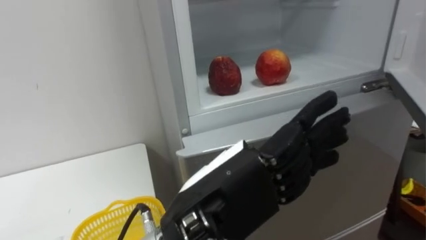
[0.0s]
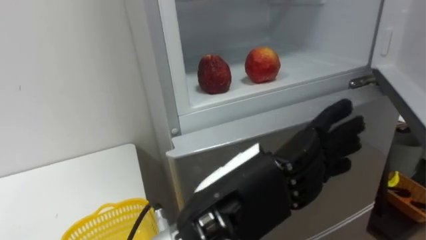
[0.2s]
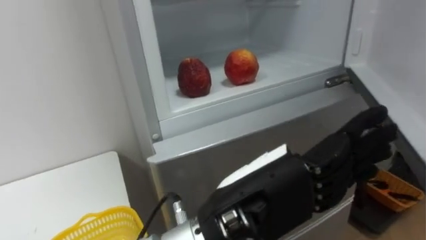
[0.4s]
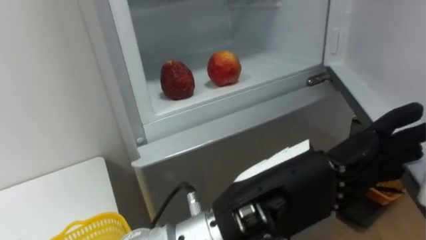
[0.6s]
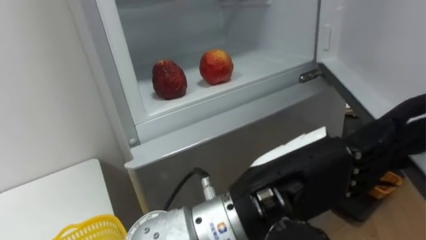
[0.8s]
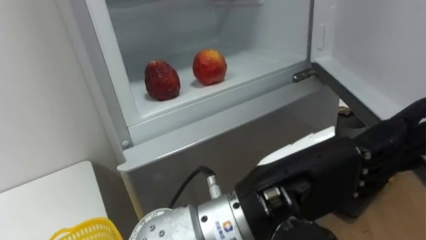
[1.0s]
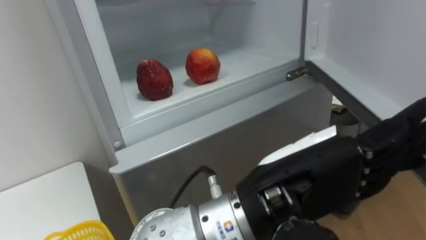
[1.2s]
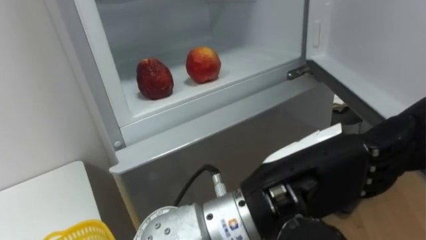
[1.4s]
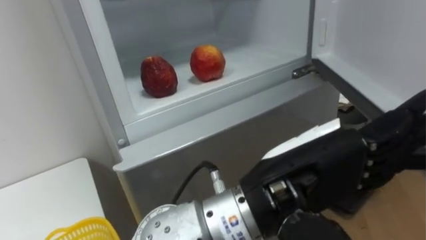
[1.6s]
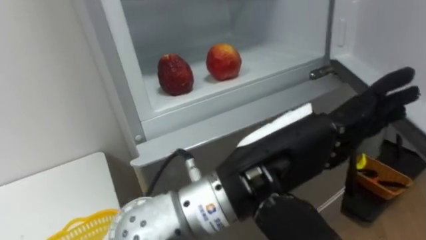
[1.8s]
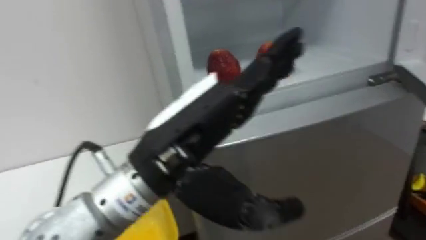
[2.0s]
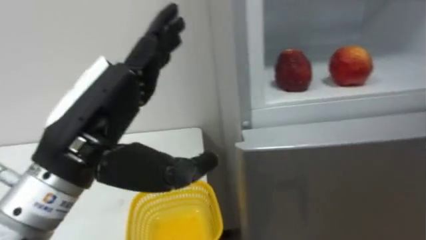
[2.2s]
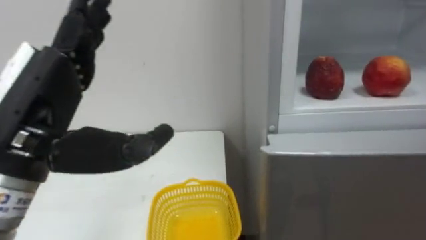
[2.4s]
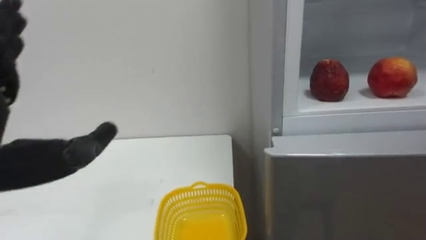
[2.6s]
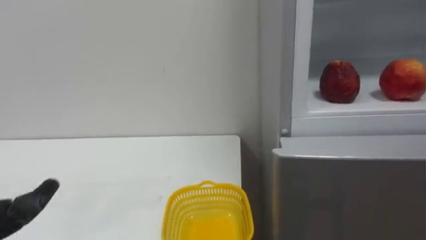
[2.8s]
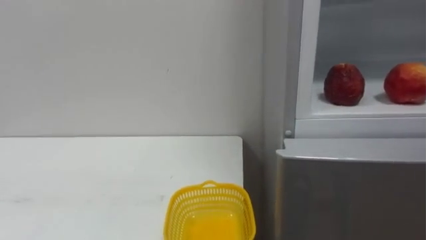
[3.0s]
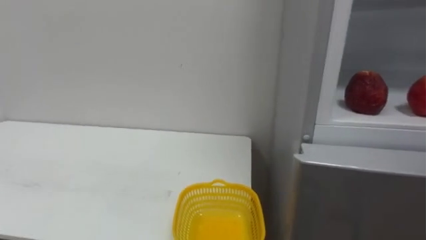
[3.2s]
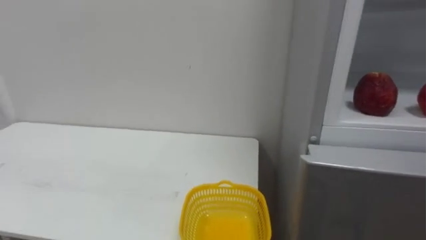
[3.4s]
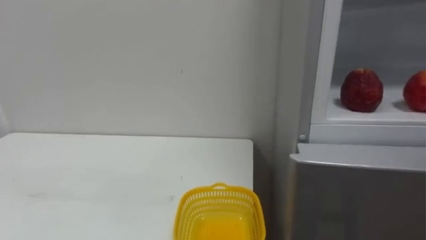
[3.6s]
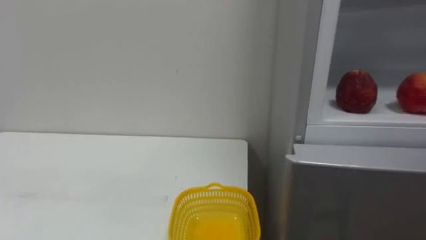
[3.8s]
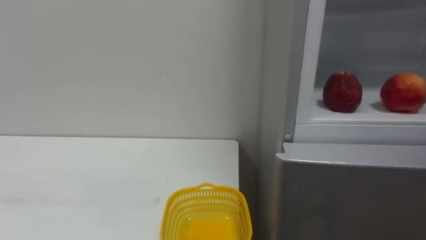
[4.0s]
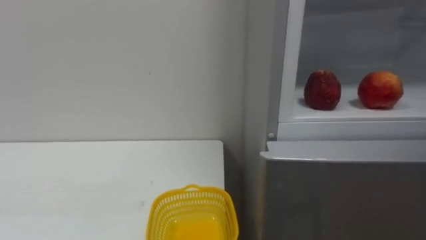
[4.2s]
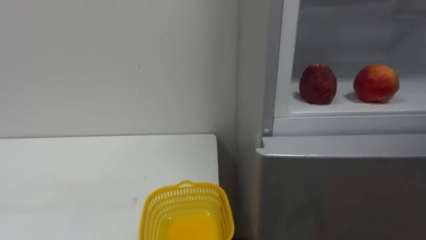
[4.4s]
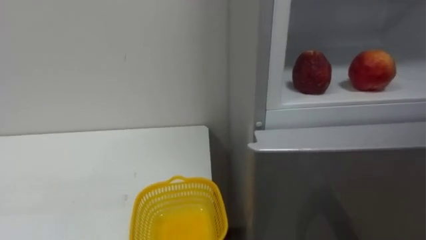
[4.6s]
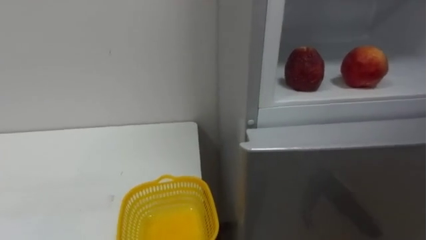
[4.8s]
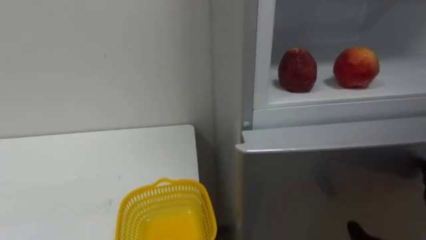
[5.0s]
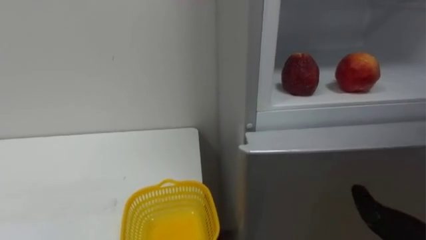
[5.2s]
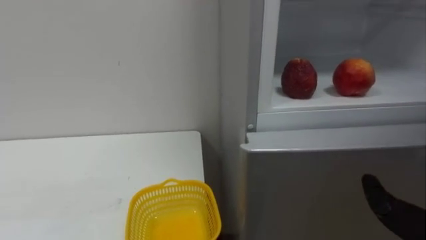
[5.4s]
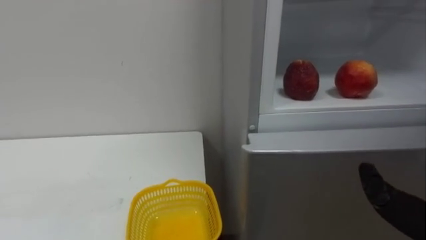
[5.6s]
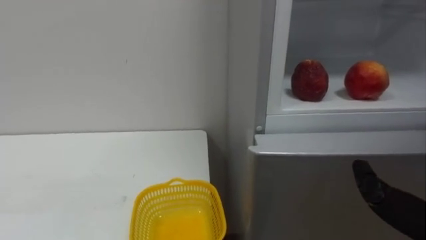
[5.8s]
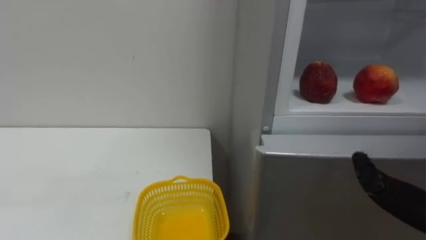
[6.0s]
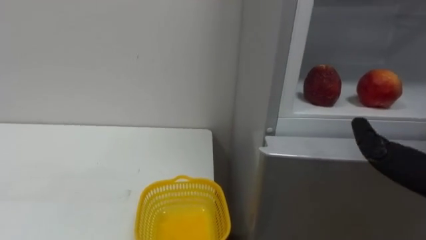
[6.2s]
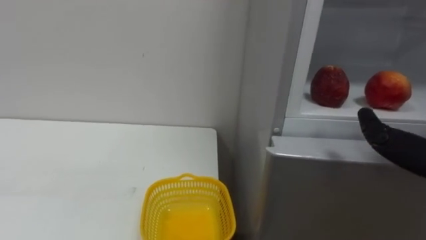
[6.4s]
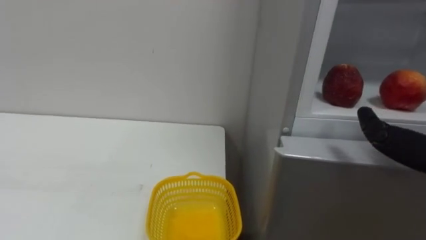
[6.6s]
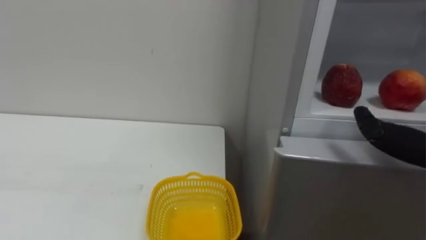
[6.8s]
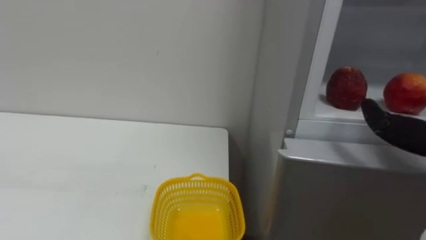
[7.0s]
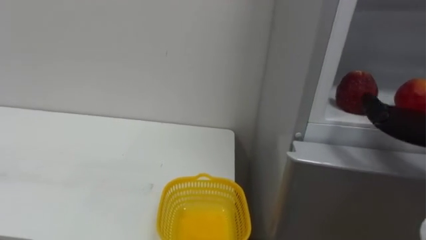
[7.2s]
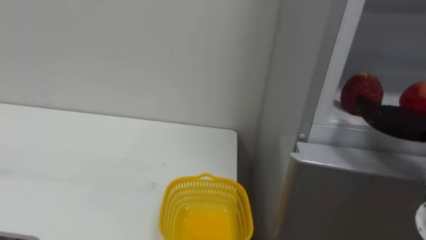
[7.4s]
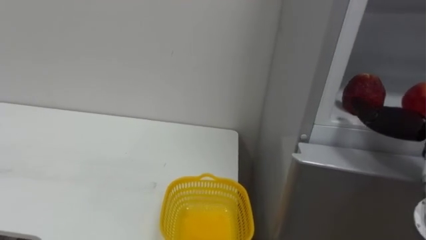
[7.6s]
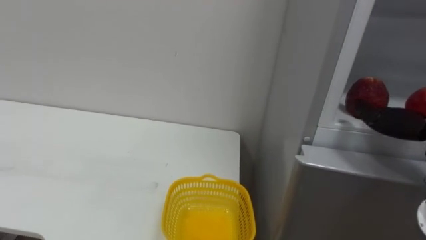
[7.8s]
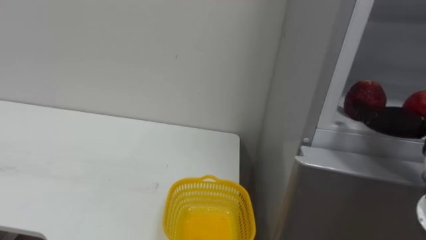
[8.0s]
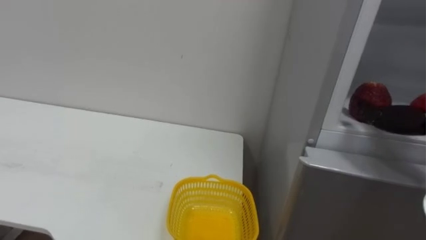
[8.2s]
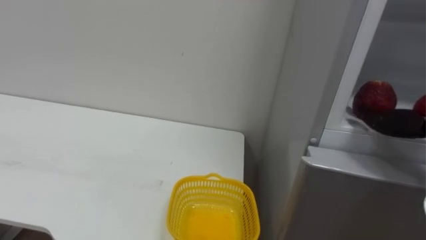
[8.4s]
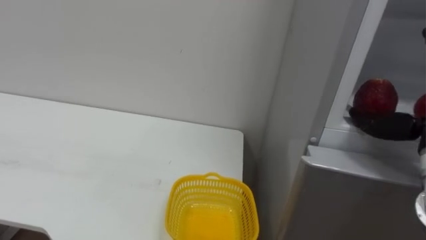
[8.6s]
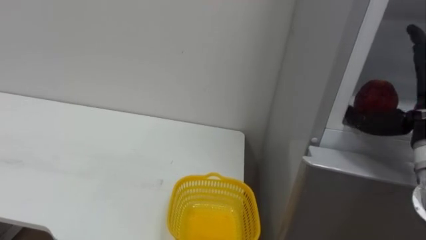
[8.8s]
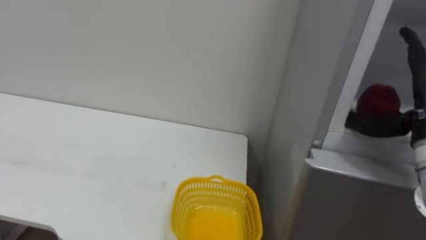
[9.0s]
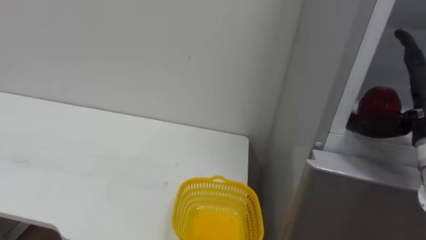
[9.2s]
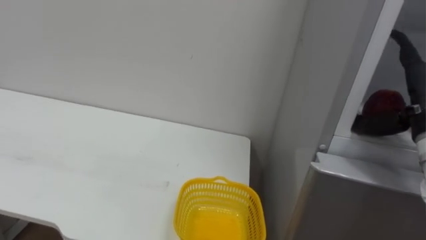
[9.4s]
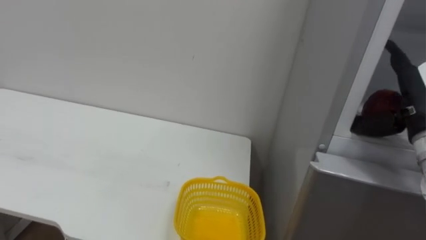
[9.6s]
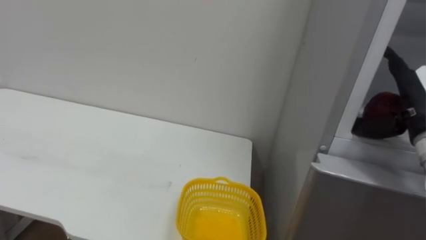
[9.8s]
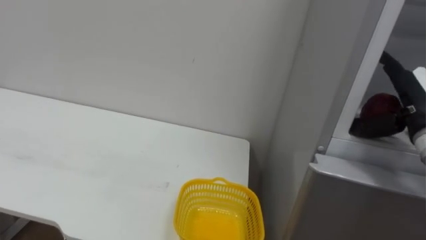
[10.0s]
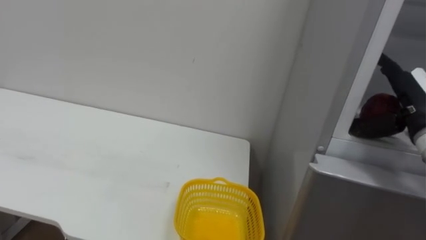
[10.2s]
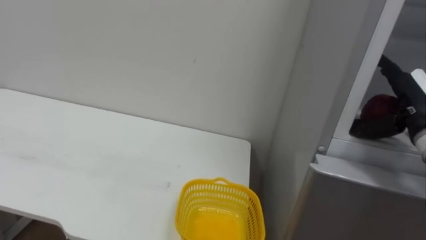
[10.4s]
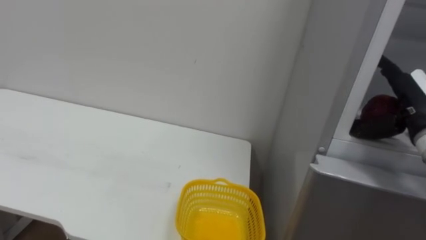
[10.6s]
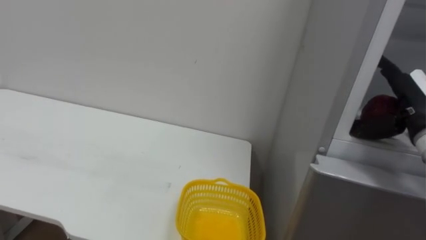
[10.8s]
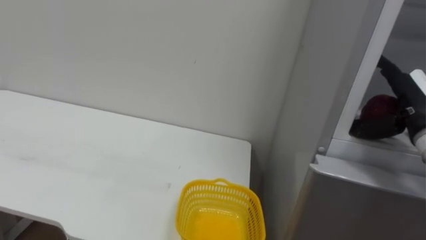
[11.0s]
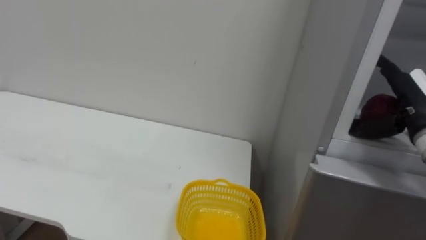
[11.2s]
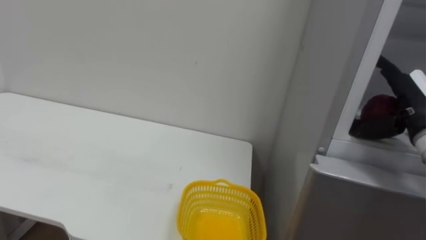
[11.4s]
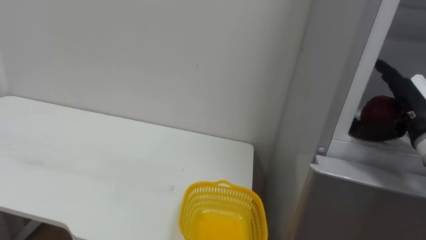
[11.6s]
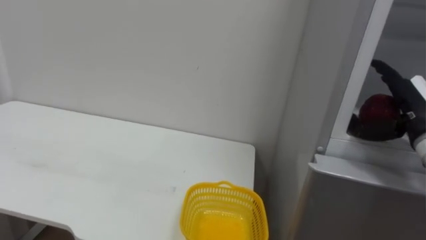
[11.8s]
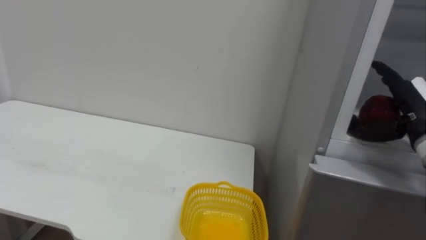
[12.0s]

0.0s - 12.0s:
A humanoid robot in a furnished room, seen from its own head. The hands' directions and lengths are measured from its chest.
Task of the whole recording: Open the refrigerator door, take out the apple and the pomegranate, place them in the fruit basket on the left, and close the refrigerator door.
0.0s - 1.6s: The left hand shifts about 10 cm to the right.

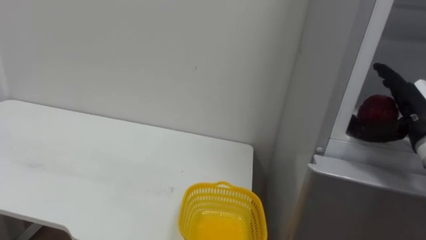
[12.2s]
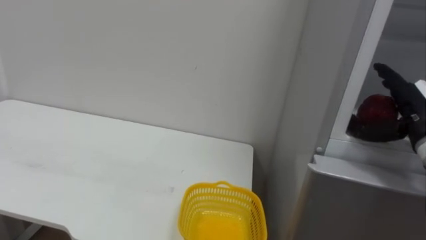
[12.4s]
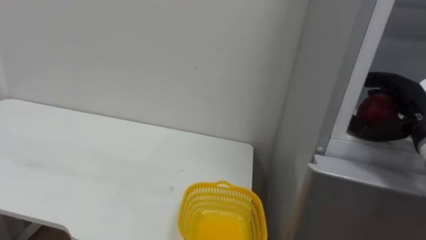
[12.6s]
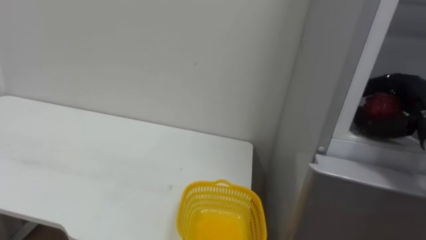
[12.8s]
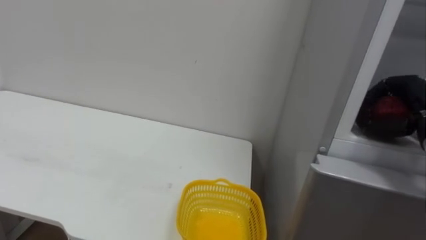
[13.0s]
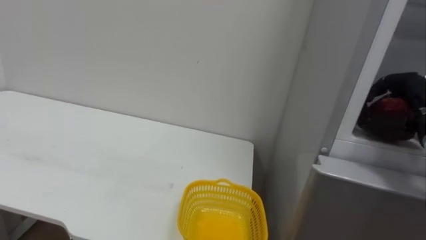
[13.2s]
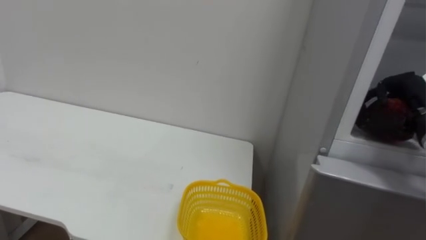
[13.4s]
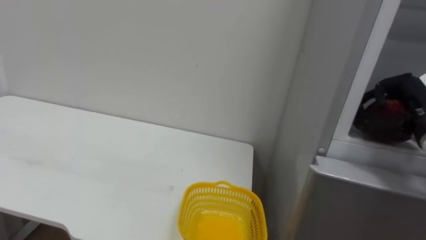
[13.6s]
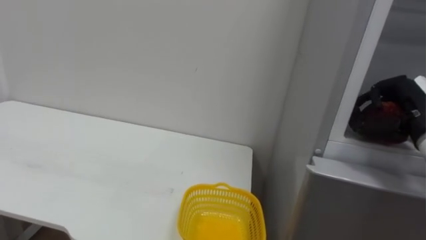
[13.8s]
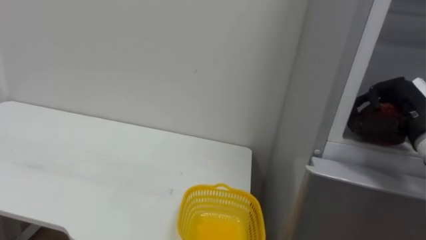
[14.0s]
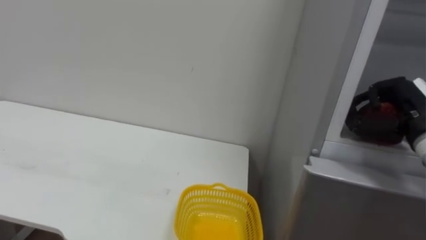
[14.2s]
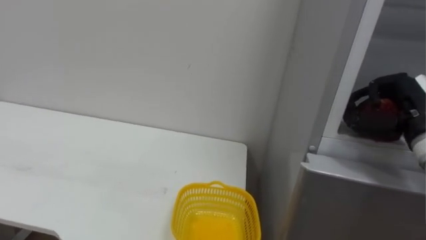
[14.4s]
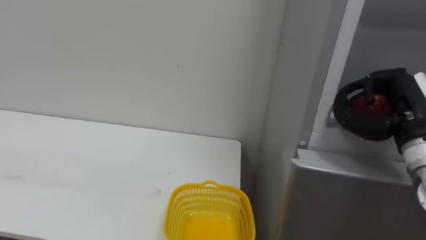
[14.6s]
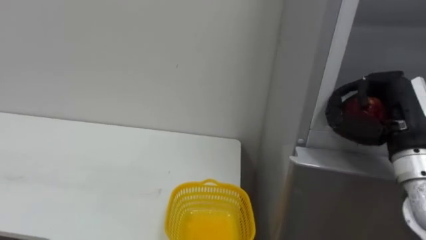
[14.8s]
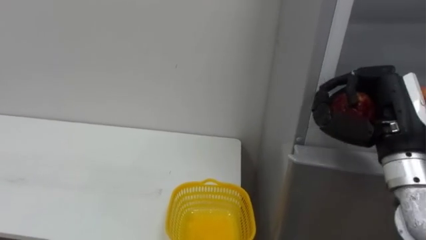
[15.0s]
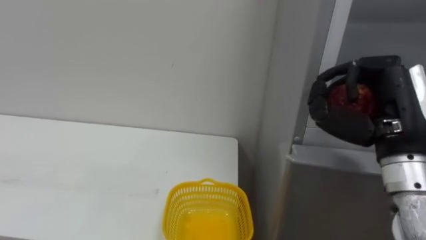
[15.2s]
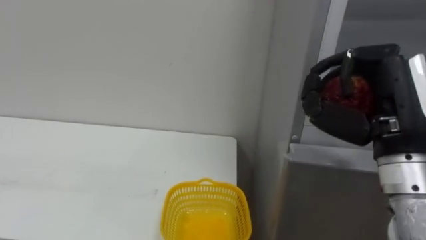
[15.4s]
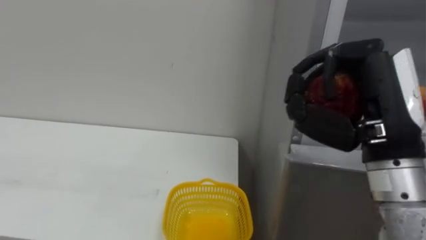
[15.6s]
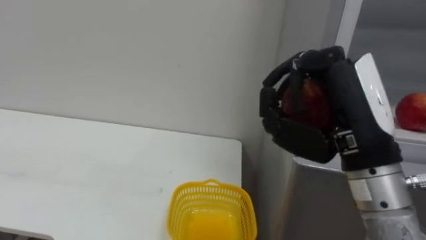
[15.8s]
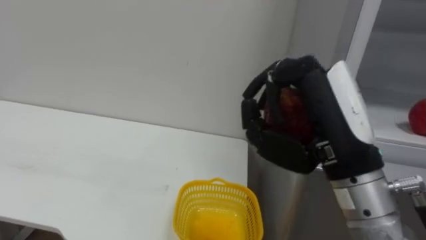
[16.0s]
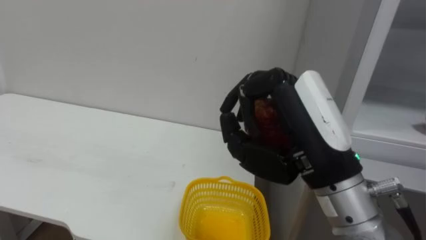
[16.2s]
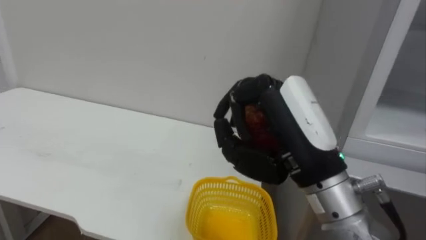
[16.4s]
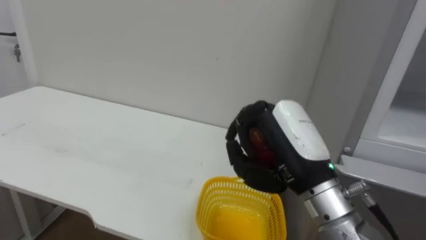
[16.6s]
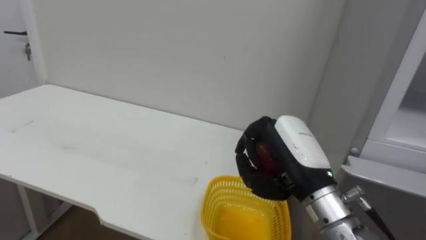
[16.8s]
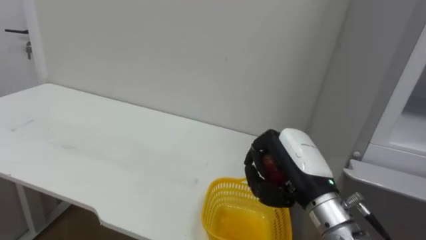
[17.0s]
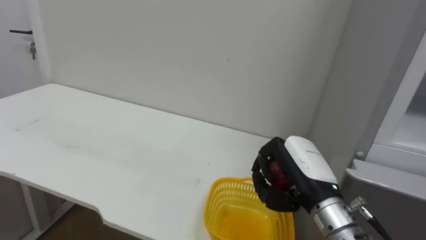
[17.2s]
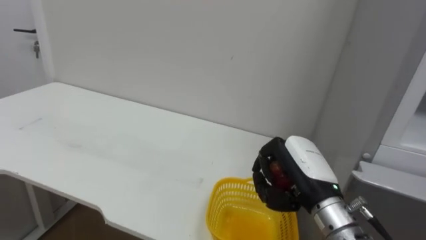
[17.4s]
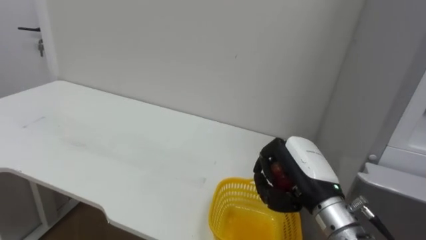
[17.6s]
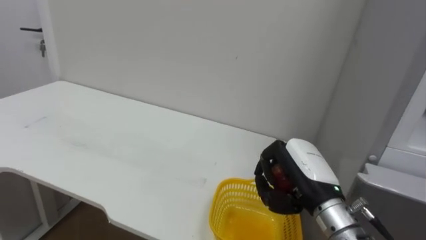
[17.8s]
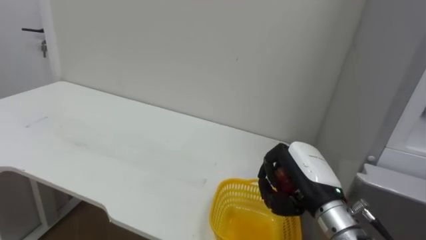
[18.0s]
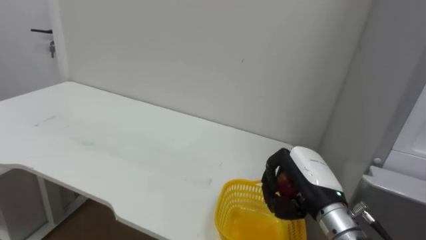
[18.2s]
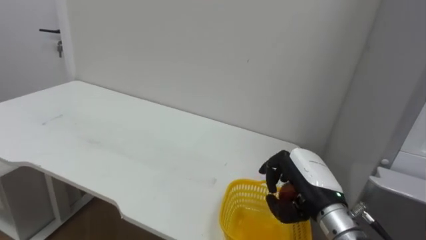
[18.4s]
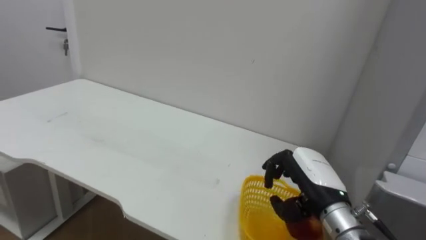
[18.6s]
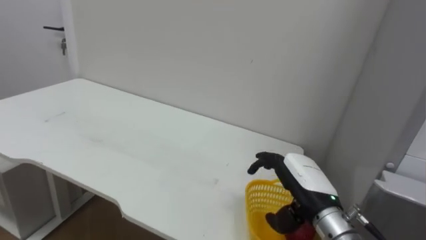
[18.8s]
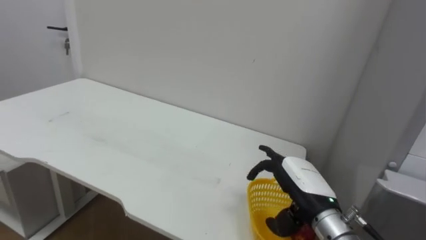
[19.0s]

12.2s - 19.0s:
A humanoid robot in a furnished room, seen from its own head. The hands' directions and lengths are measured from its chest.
Task of the whole recording: Open the refrigerator door, take out the apple and the pomegranate, place them in the fruit basket on the left, and close the refrigerator door.
12.2s - 13.6s: The right hand closes up.
13.6s - 15.0s: The right hand moves to the left and backward, some 10 cm.
15.0s - 16.2s: The right hand heads to the left and backward, covering roughly 15 cm.
16.2s - 17.6s: The right hand travels downward and forward by some 15 cm.
17.6s - 19.0s: The right hand opens its fingers.
